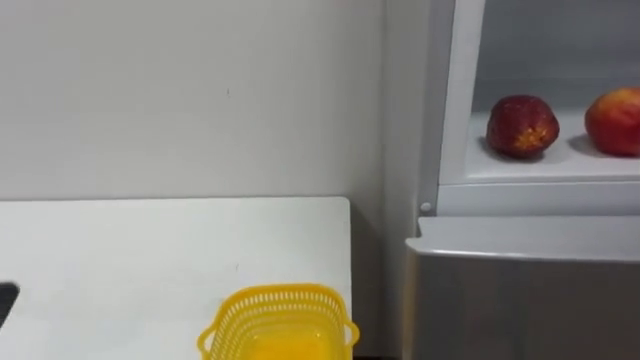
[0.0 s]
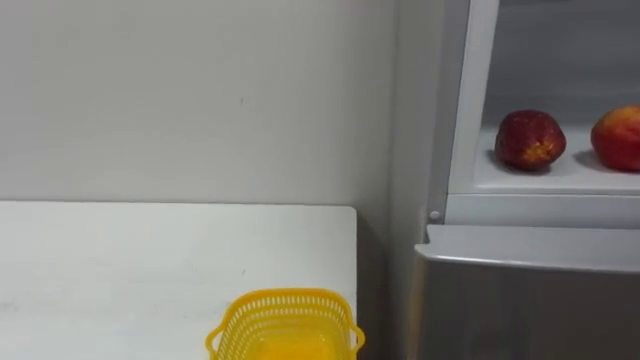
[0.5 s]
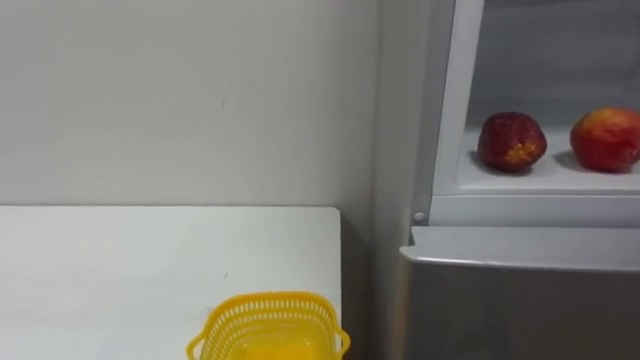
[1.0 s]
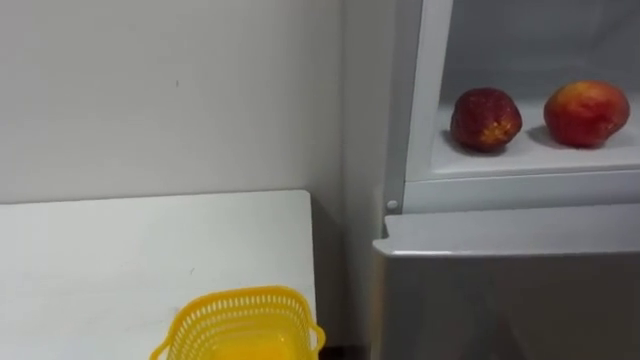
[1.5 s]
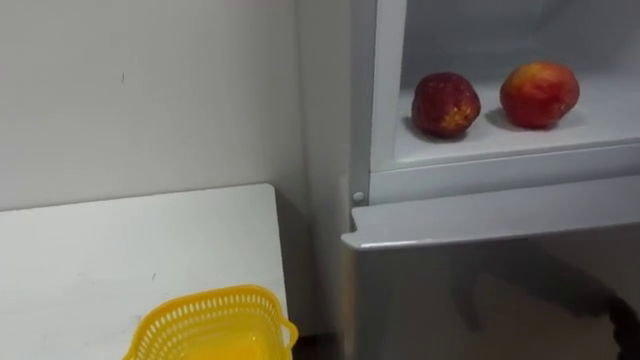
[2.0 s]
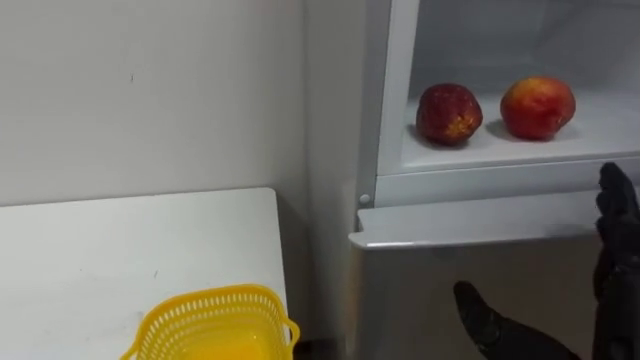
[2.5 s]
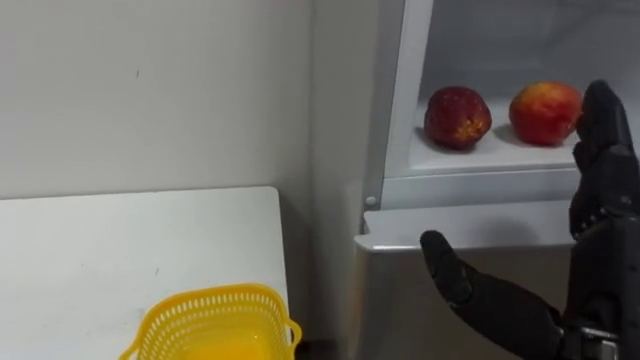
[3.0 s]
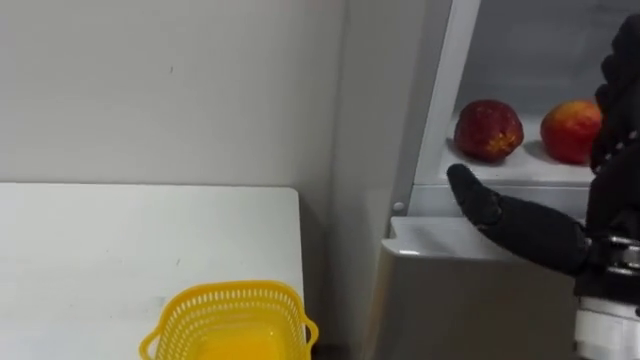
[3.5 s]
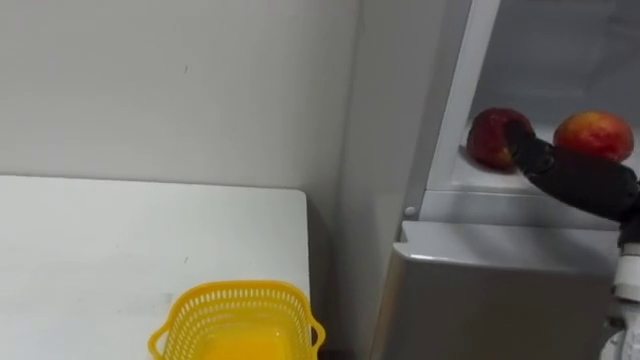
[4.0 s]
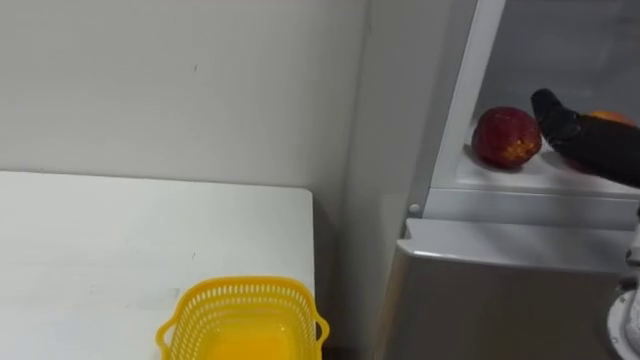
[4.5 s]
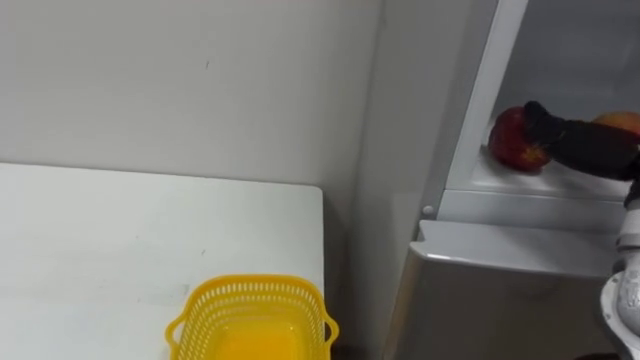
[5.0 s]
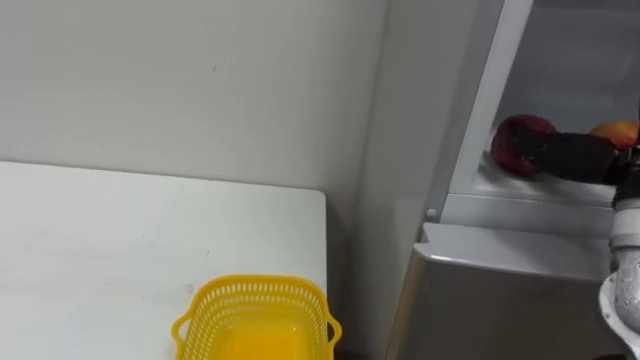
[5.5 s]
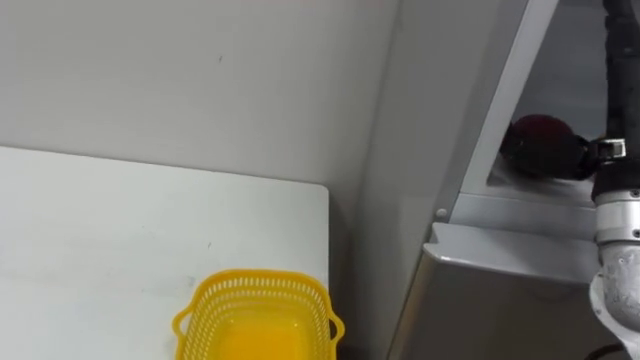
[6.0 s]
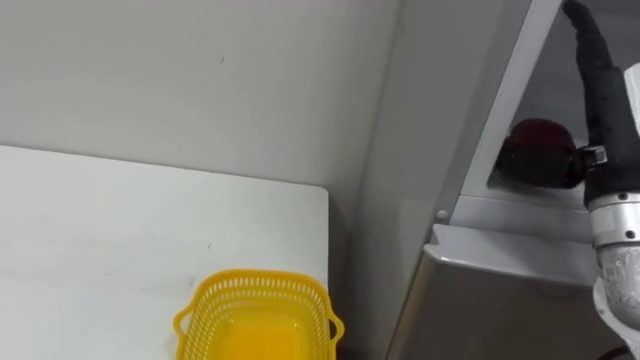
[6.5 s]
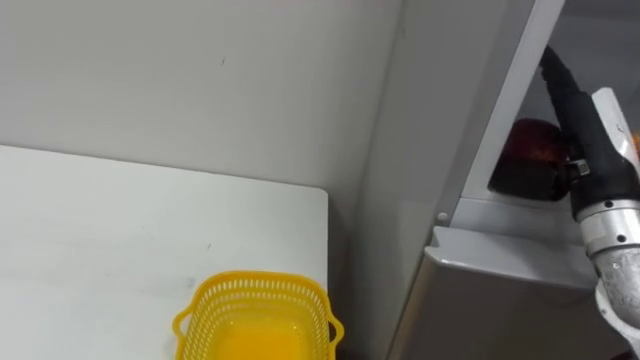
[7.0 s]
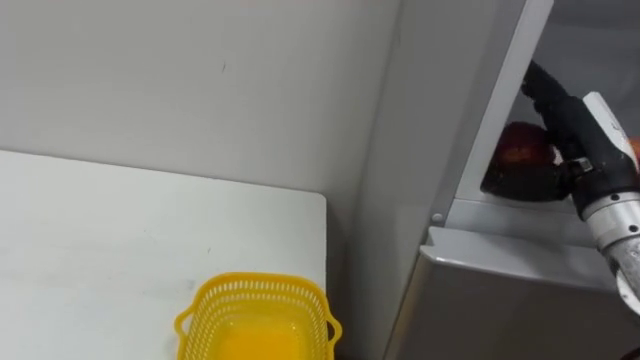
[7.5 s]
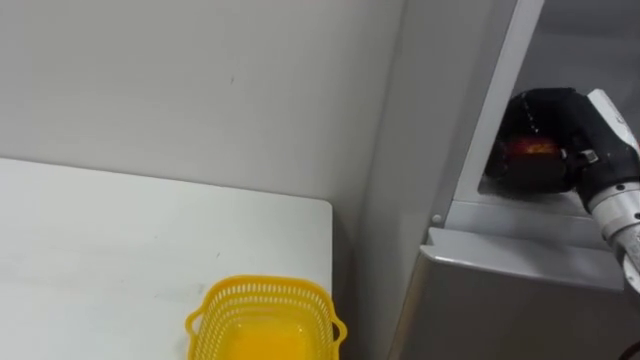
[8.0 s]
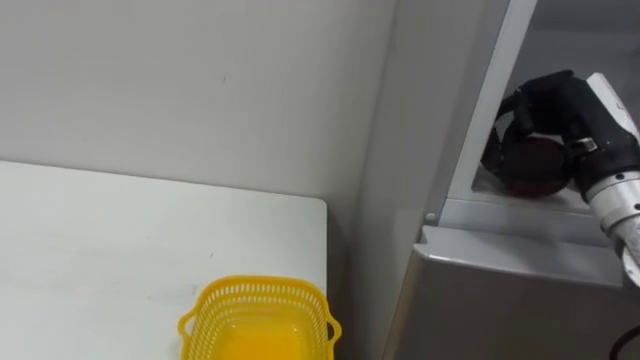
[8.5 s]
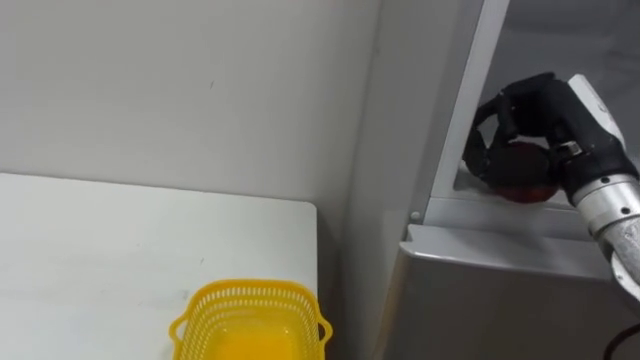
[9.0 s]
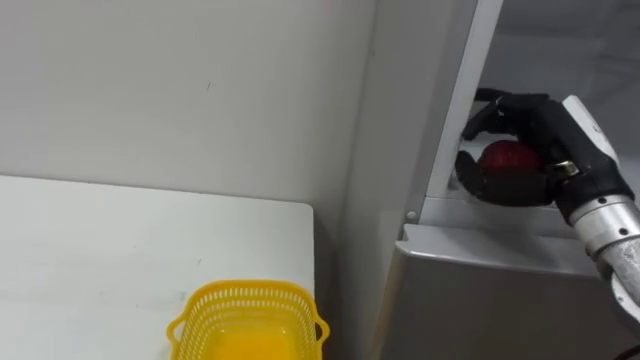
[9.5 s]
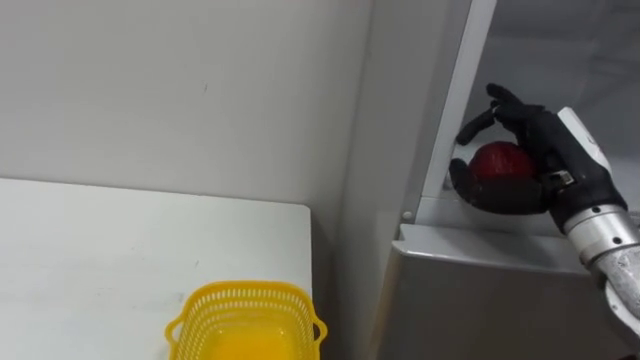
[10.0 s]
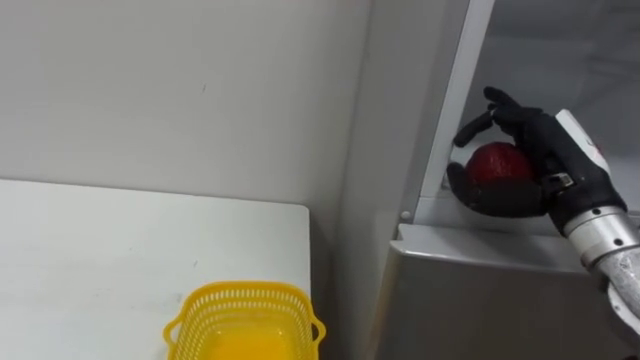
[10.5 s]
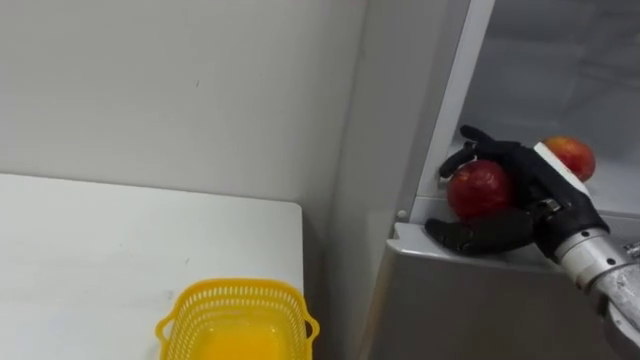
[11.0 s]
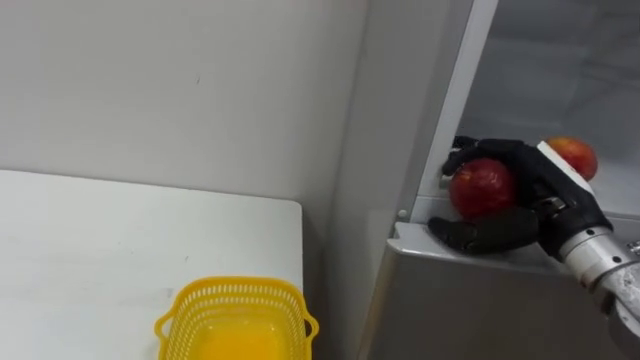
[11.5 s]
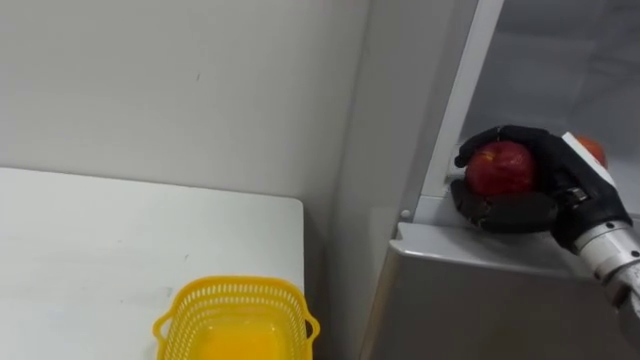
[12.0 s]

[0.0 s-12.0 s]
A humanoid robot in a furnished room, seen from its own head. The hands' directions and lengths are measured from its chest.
Task of the whole recording: Open the refrigerator door, take out the apple and the pomegranate, place them in the fruit basket on the left, and close the refrigerator door.
6.0 to 8.0 s: The right hand heads forward, covering approximately 5 cm, and closes its fingers.
8.0 to 10.0 s: The right hand opens up.
10.0 to 12.0 s: The right hand closes up.

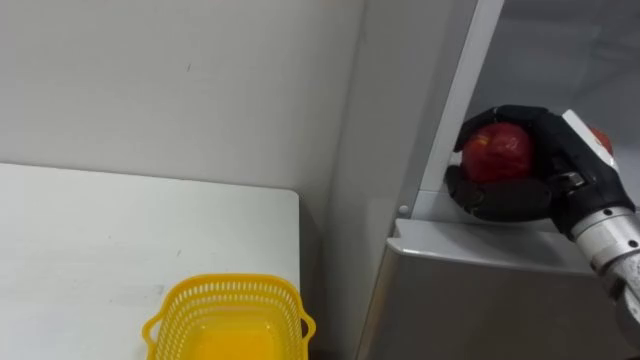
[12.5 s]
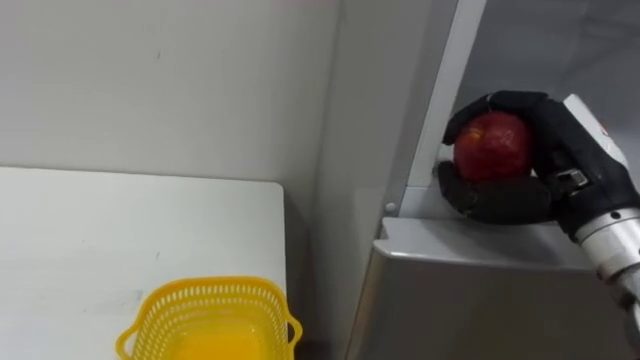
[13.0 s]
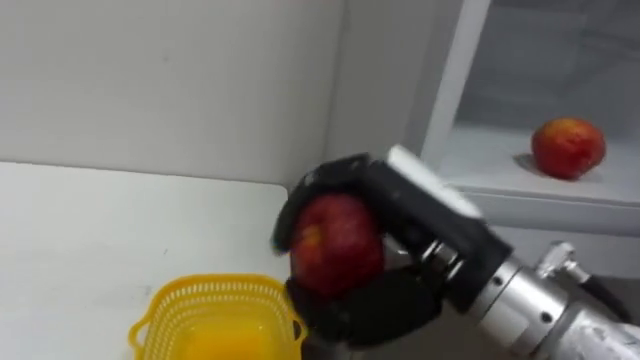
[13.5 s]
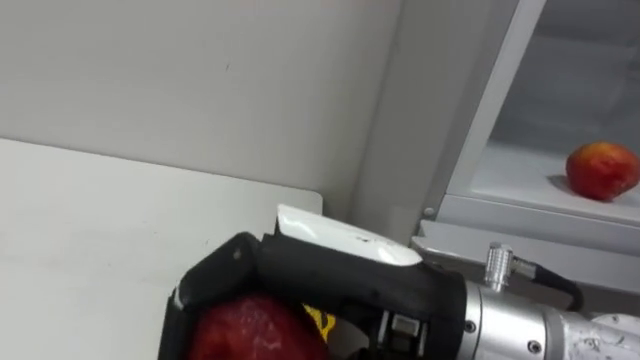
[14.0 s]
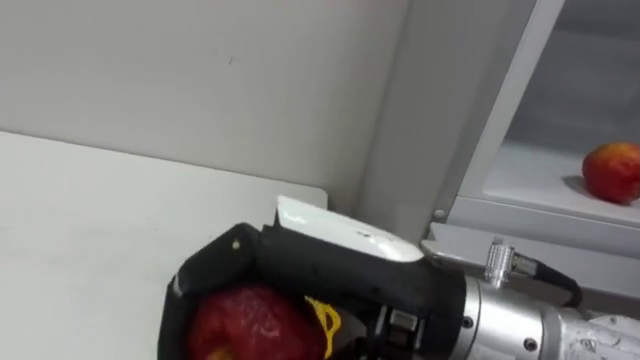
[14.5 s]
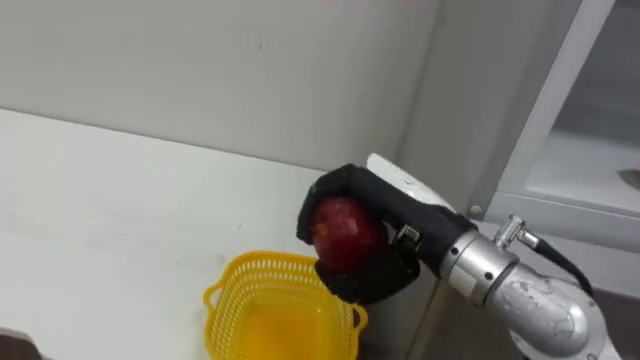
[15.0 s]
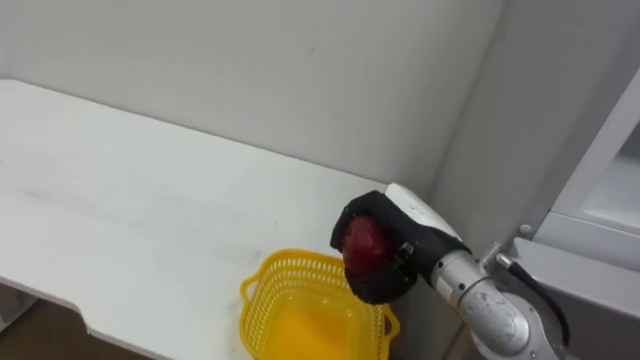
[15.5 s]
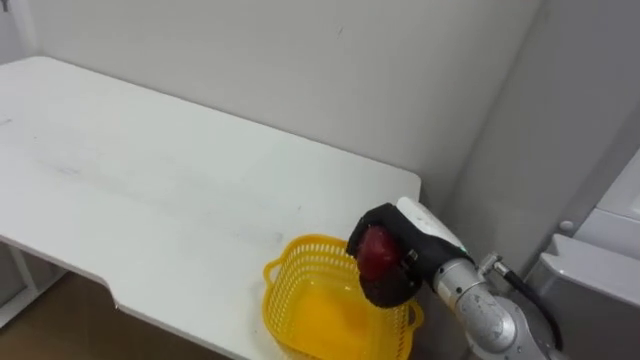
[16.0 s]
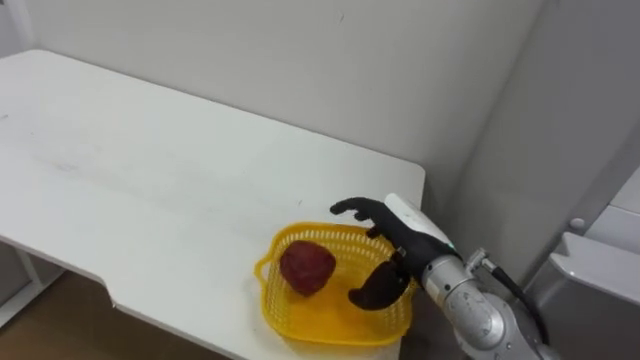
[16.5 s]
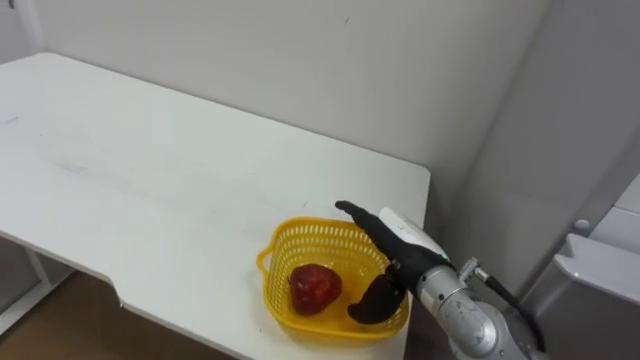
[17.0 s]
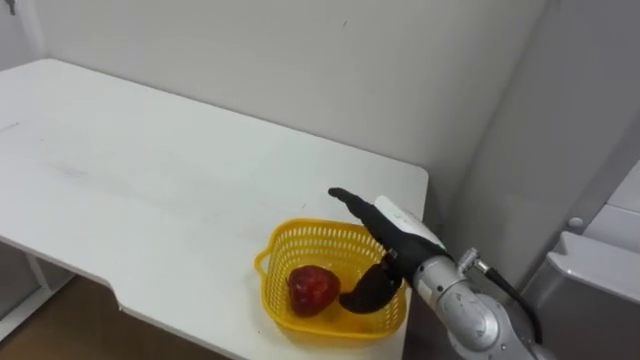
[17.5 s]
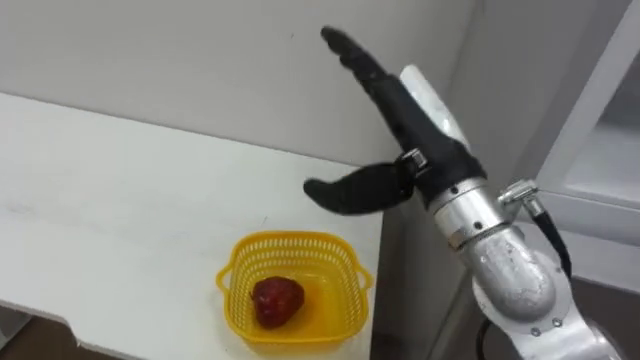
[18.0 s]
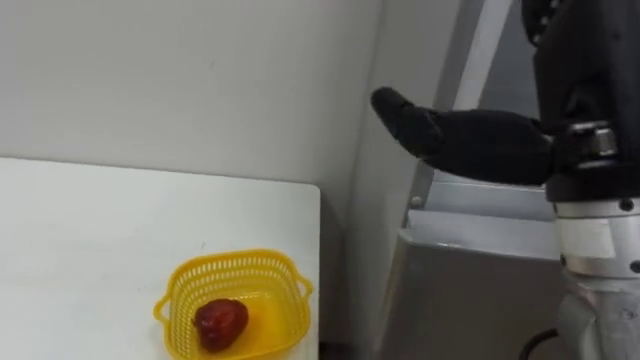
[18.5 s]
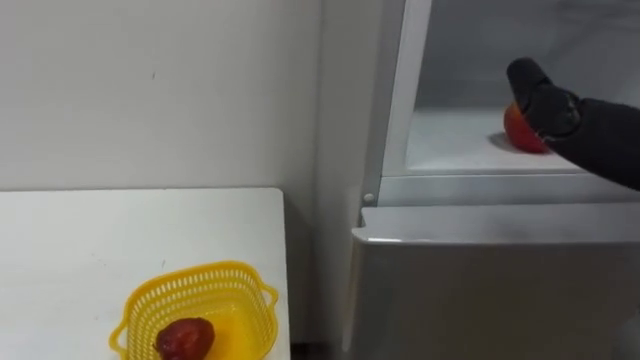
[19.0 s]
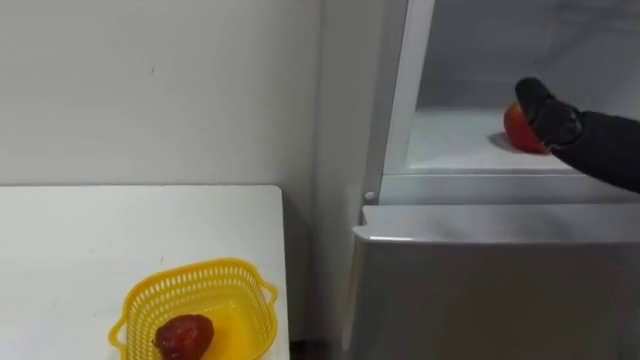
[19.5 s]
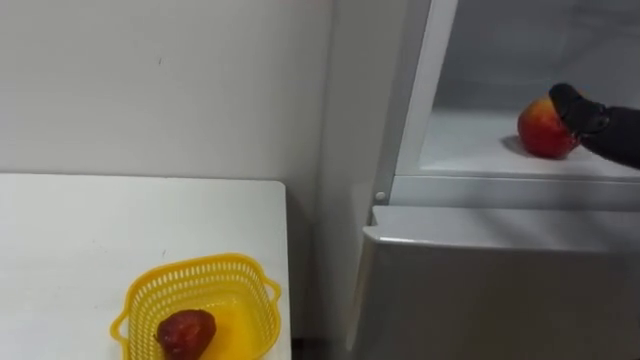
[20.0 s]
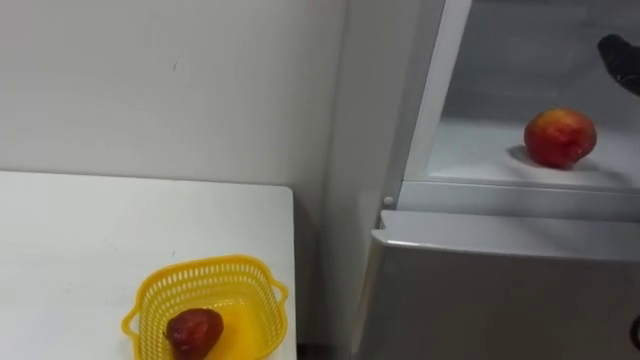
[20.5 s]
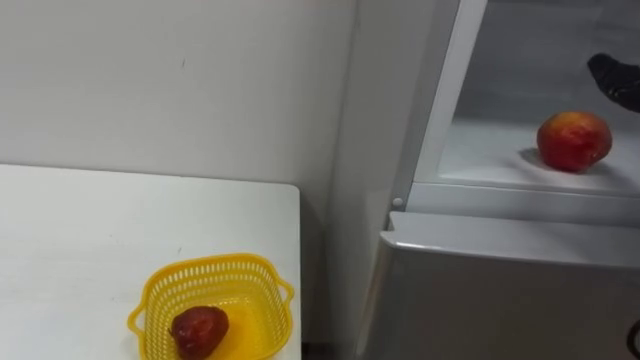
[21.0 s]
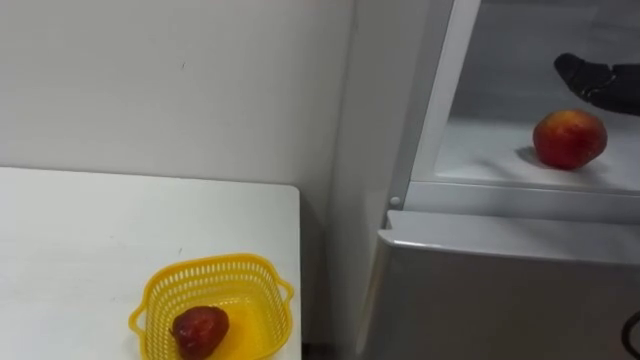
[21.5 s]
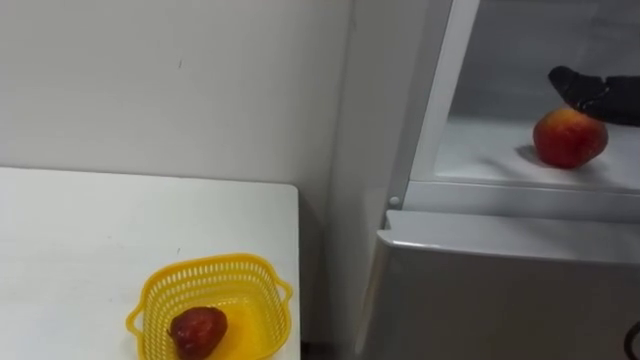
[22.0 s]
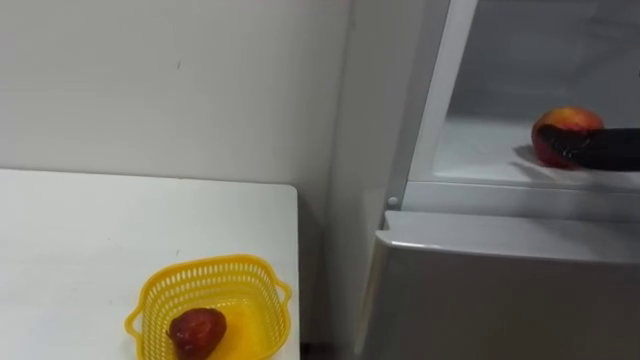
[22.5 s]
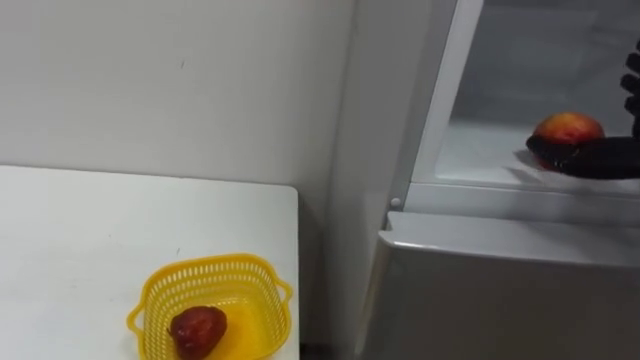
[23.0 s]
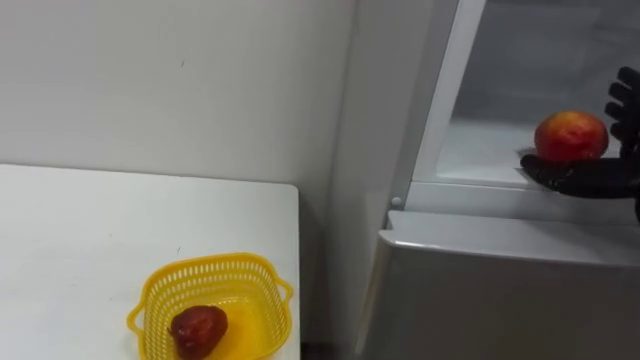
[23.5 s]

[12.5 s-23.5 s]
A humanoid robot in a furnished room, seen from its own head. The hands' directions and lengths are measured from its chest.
Task of the whole recording: Open the refrigerator door, take out the apple and the pomegranate, place them in the fruit basket on the left, and close the refrigerator door.
12.5 to 14.5 s: The right hand moves to the left and backward, about 25 cm.
14.5 to 16.0 s: The right hand moves forward, downward and to the right, roughly 25 cm.
16.0 to 18.0 s: The right hand is displaced upward by some 15 cm, and opens up.
